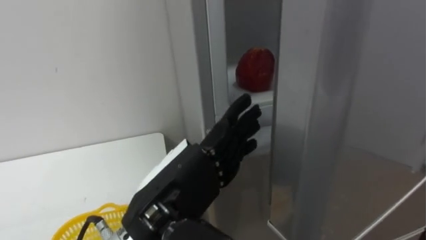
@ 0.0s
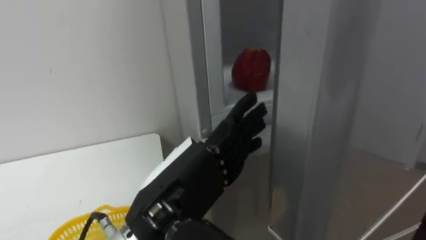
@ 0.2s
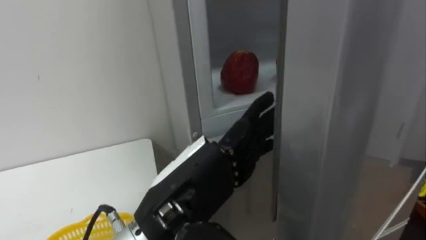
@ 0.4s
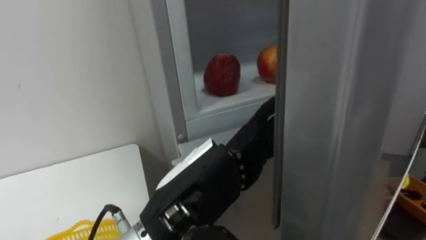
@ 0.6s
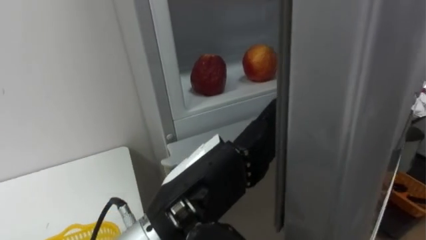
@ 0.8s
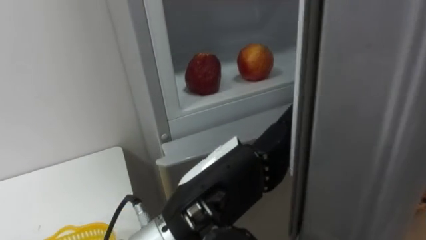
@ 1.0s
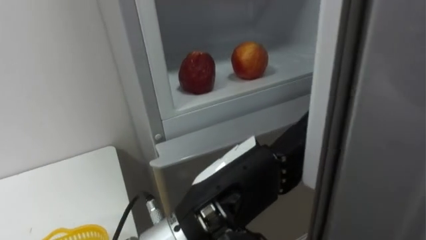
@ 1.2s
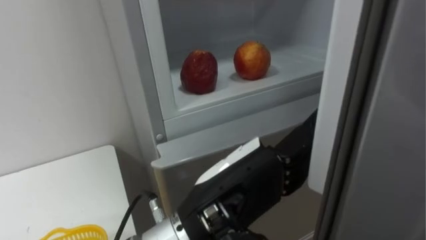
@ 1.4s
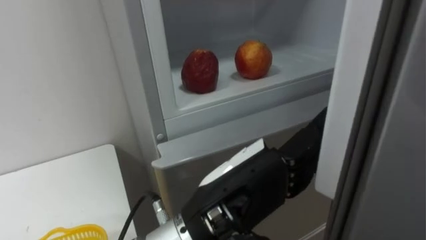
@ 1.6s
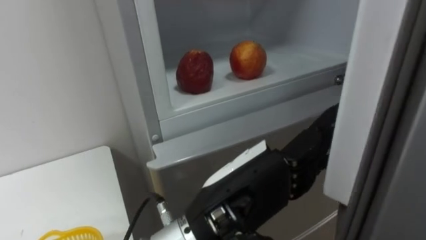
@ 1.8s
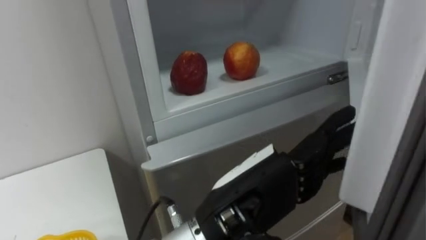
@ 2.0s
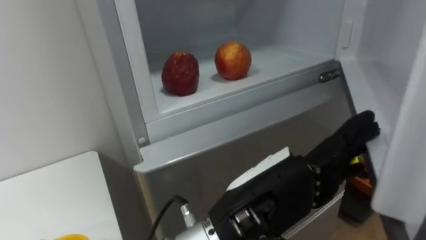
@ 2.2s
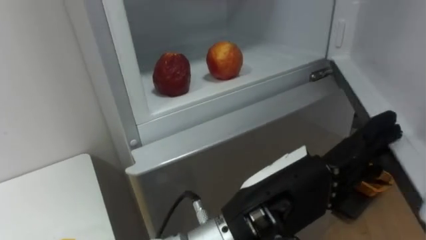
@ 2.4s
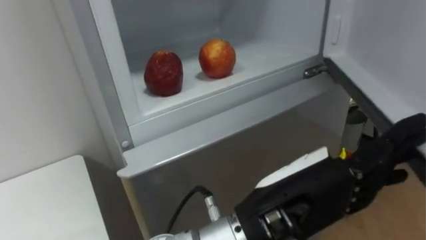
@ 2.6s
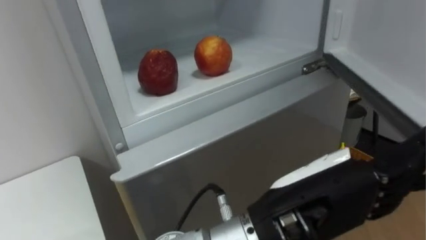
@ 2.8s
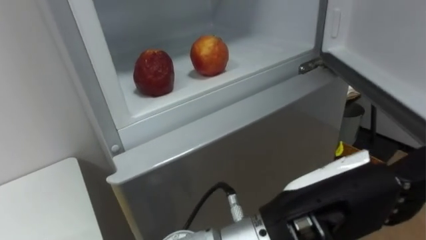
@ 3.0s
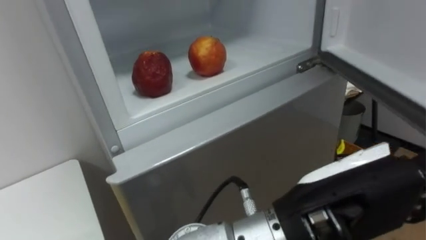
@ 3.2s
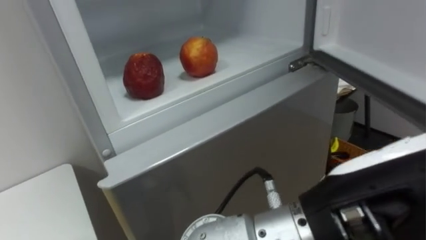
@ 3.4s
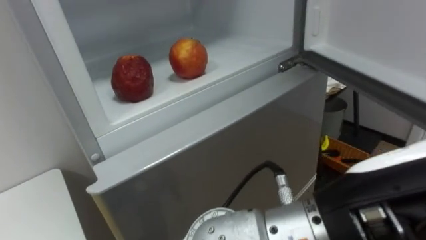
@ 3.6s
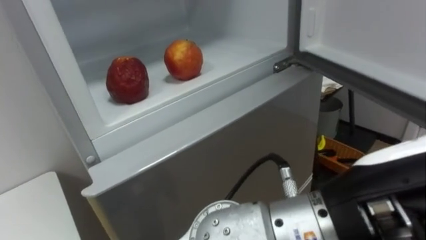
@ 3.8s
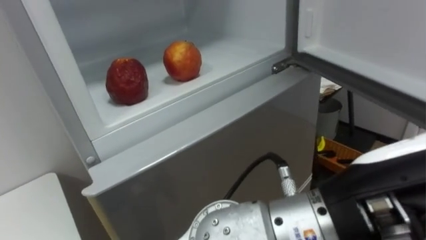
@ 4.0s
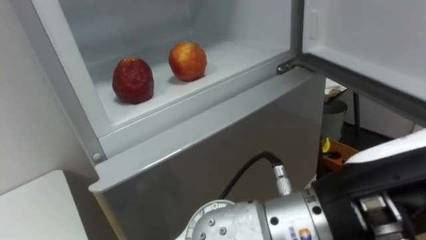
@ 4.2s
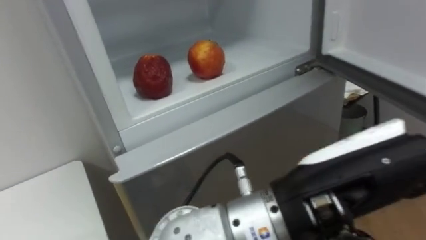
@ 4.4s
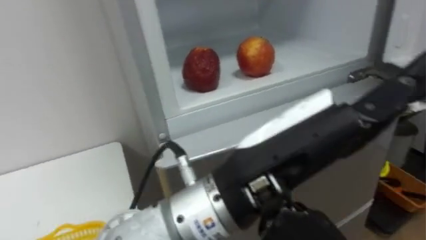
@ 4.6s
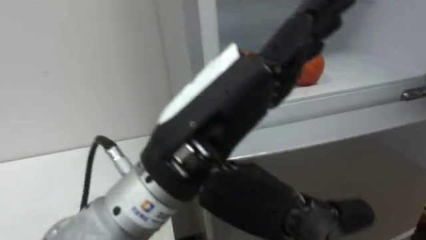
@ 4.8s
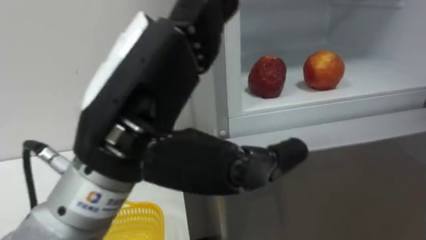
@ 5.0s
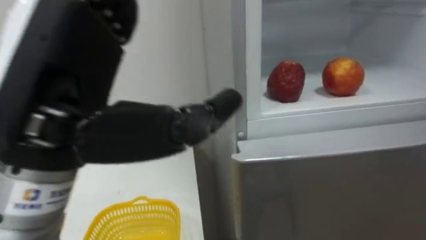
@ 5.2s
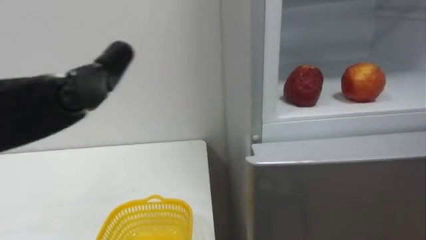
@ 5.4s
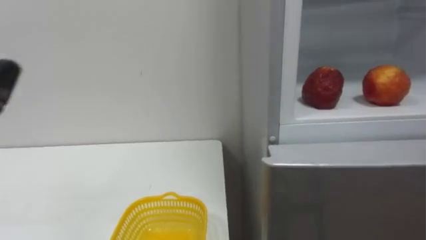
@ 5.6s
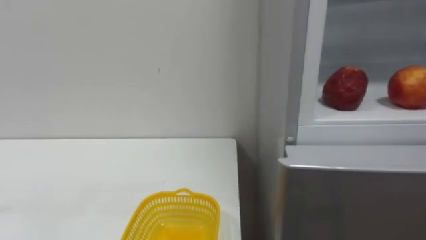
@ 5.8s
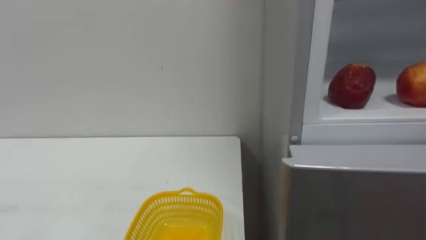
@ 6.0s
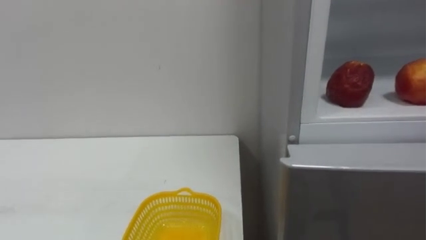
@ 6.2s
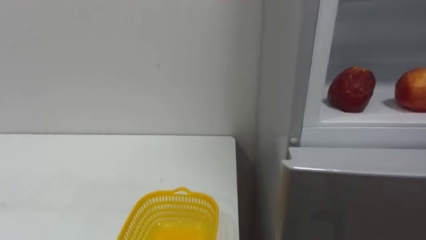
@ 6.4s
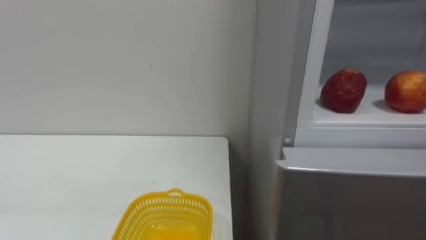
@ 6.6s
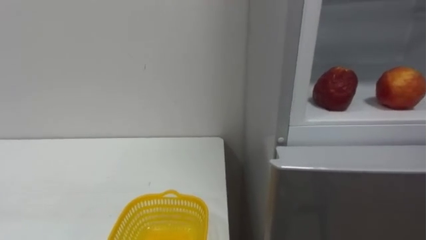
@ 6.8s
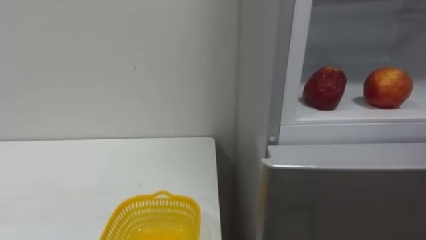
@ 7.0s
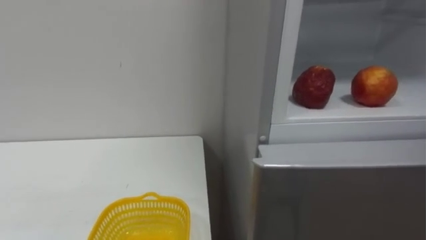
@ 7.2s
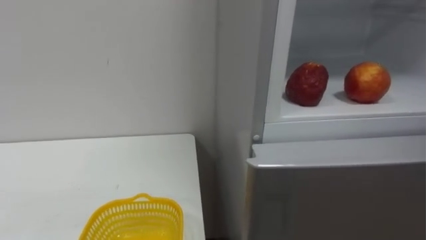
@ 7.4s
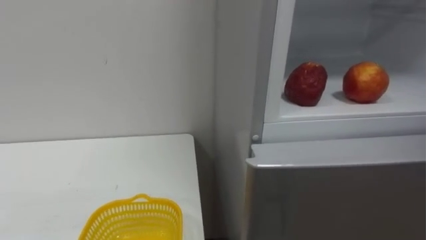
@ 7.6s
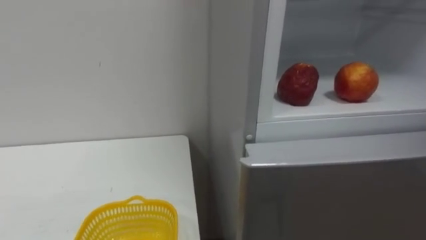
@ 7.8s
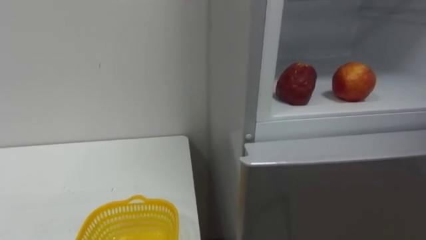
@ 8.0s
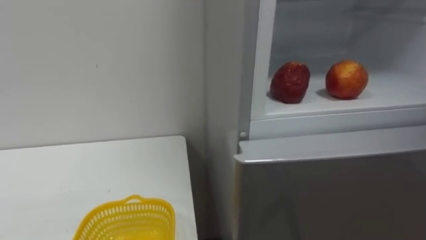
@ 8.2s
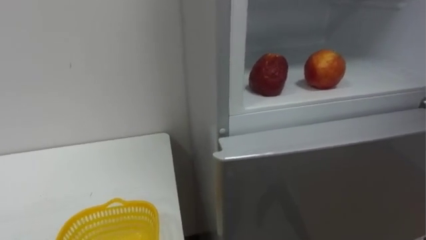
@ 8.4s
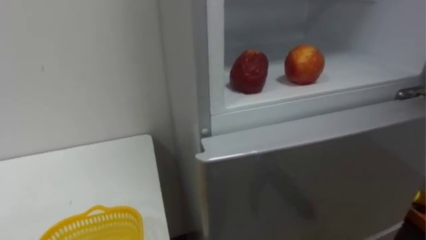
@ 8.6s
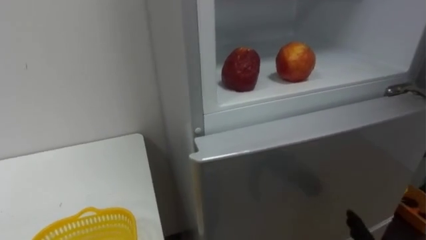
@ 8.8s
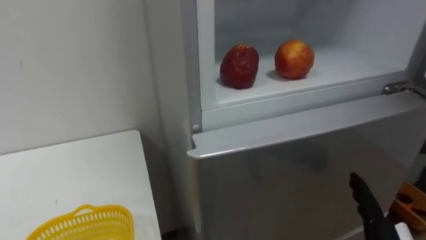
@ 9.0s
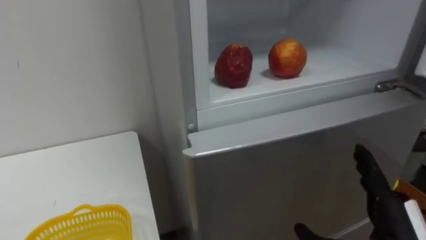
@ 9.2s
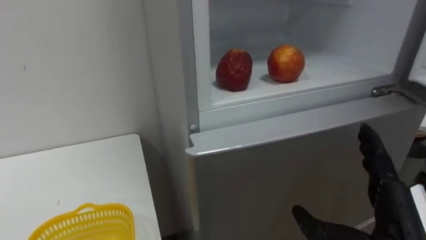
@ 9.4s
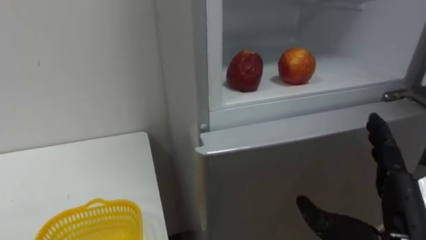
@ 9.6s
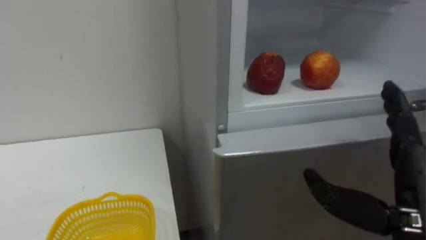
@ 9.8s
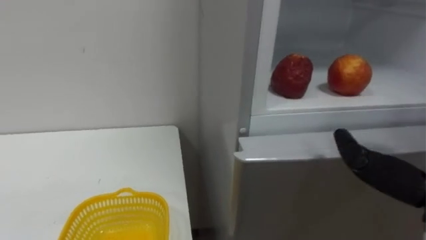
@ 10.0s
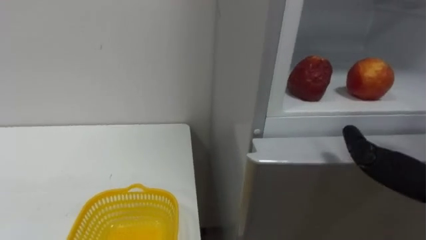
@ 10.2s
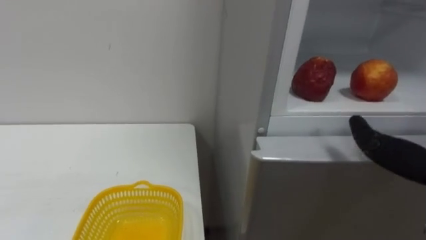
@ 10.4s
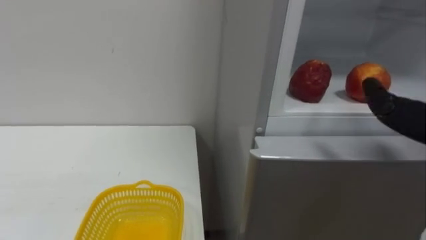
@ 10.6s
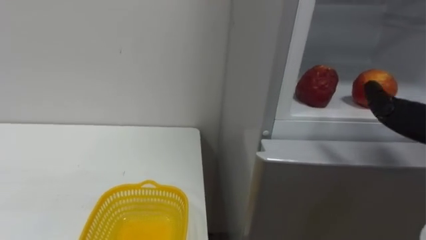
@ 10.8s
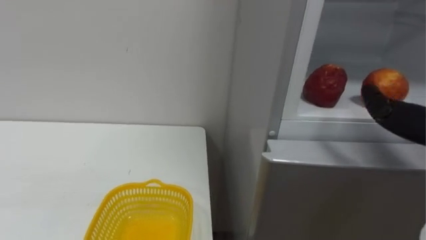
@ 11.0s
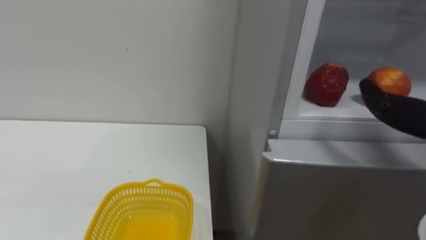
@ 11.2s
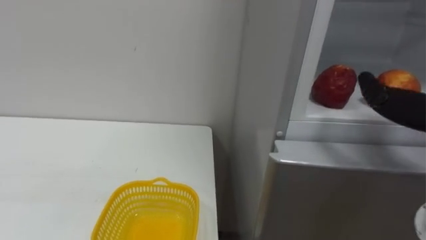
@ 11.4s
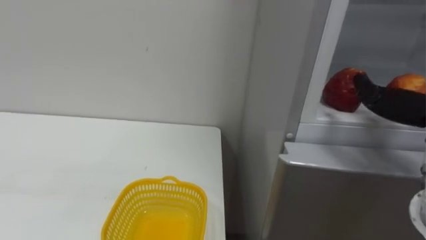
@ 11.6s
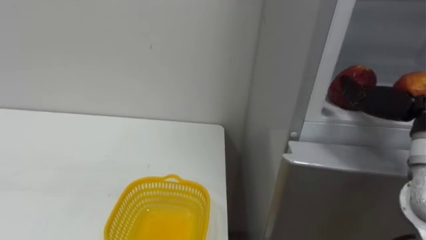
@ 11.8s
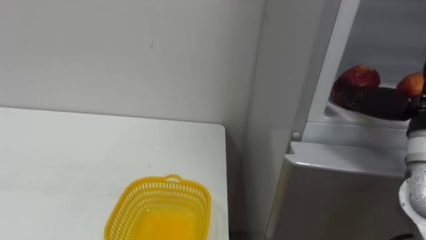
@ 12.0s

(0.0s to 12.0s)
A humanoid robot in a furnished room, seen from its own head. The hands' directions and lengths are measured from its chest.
Task of the whole recording: Open the refrigerator door, take out the apple and the pomegranate, place them in the fruit basket on the left, and close the refrigerator door.
0.0s - 1.6s: The left hand moves to the right, roughly 5 cm.
1.6s - 3.0s: The left hand shifts roughly 5 cm to the right.

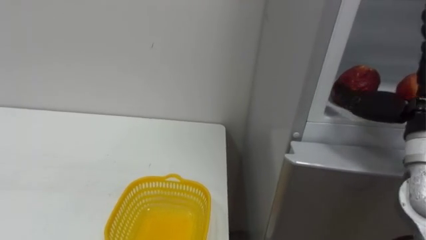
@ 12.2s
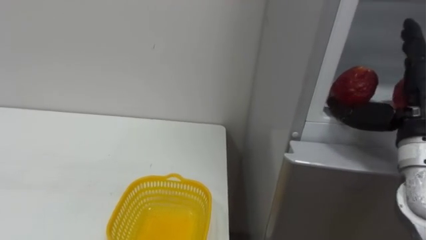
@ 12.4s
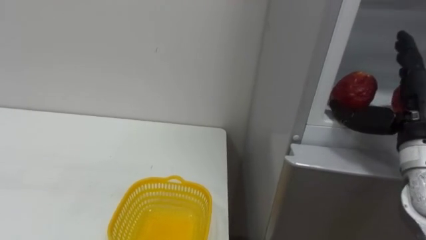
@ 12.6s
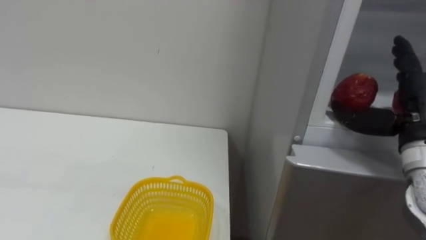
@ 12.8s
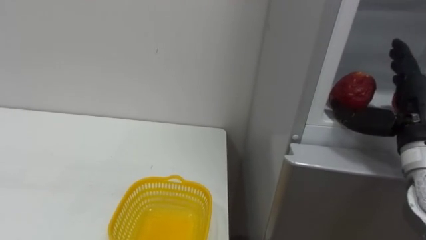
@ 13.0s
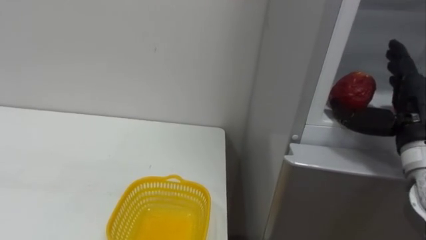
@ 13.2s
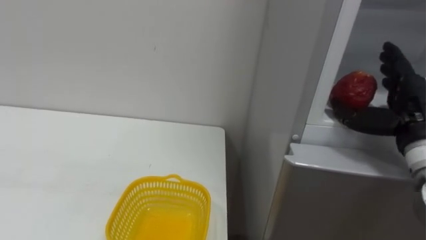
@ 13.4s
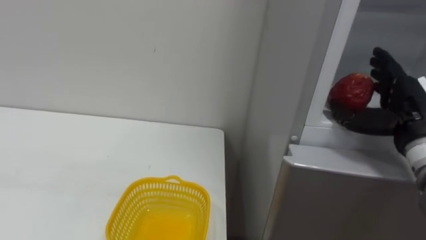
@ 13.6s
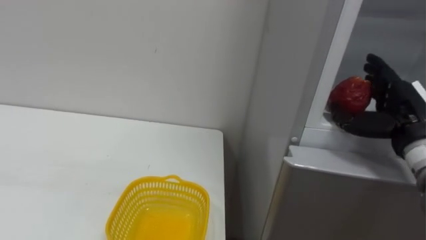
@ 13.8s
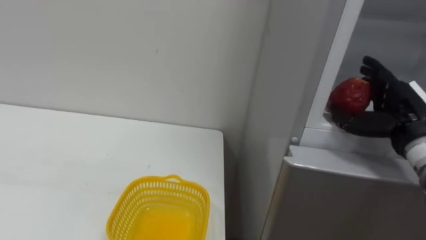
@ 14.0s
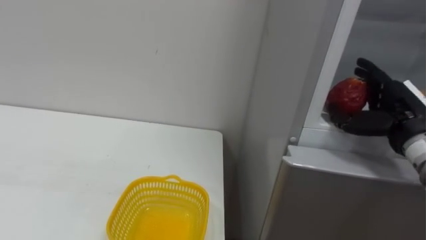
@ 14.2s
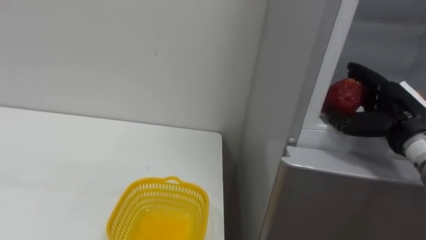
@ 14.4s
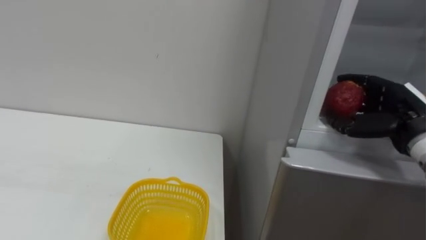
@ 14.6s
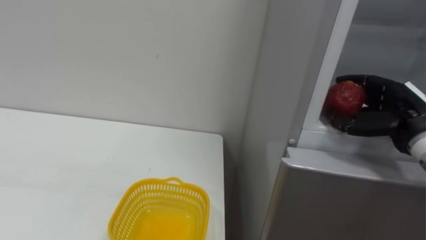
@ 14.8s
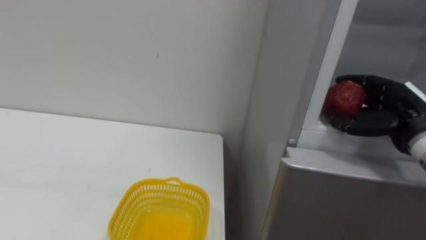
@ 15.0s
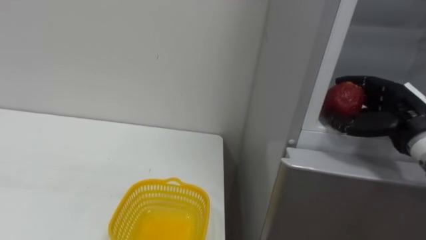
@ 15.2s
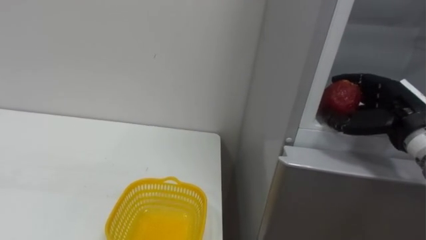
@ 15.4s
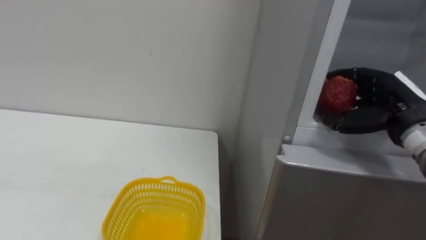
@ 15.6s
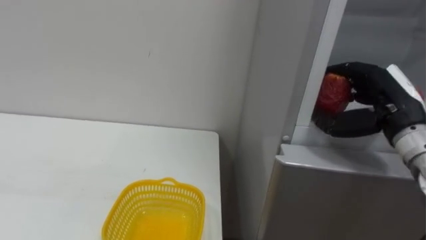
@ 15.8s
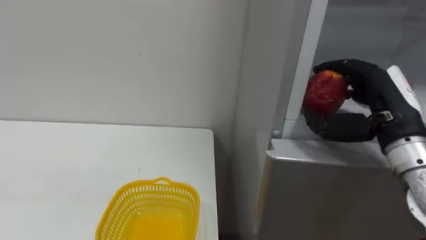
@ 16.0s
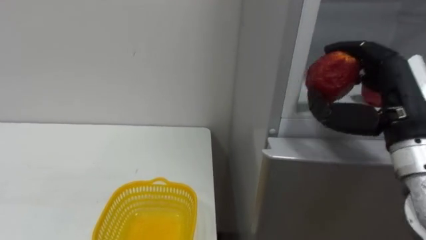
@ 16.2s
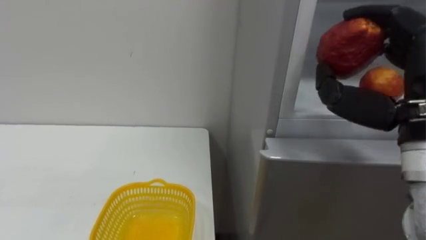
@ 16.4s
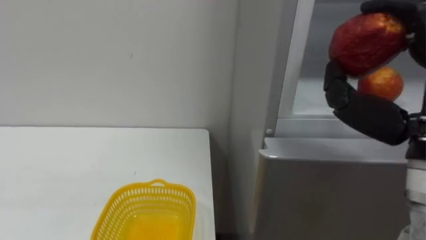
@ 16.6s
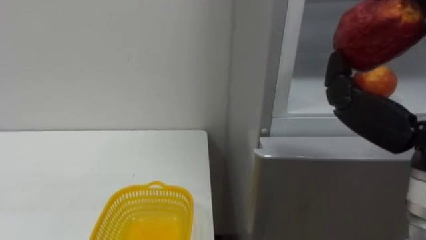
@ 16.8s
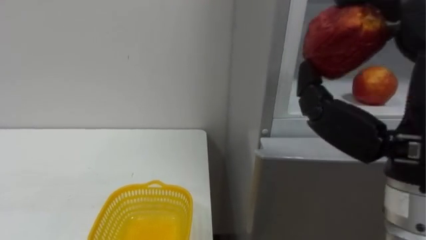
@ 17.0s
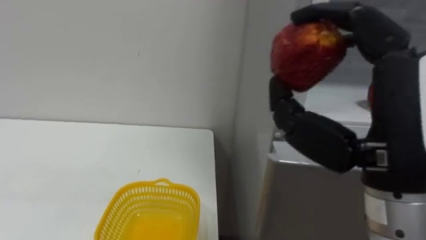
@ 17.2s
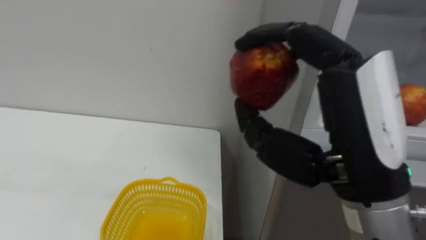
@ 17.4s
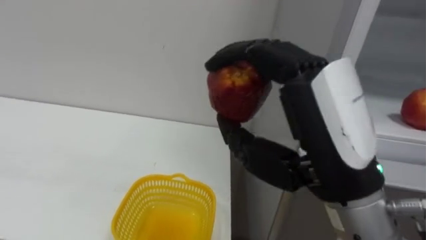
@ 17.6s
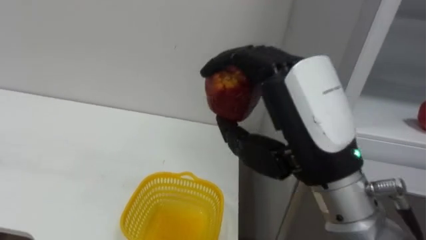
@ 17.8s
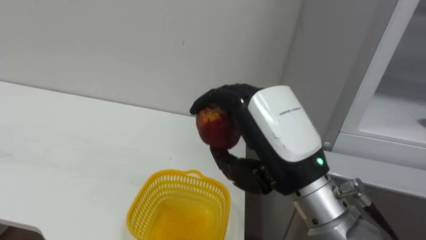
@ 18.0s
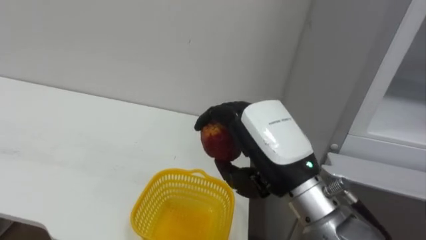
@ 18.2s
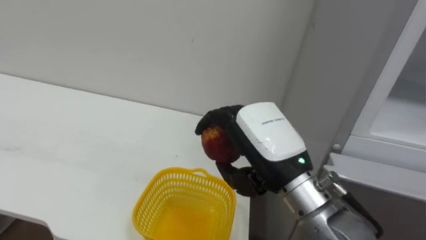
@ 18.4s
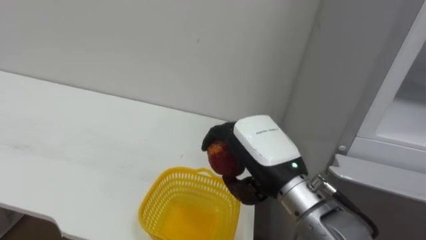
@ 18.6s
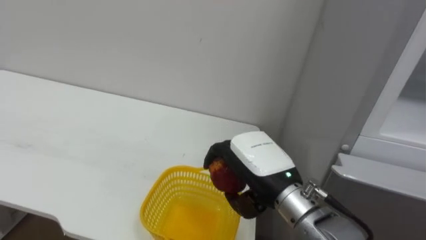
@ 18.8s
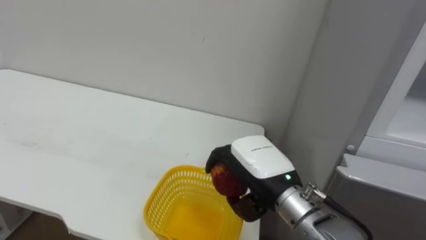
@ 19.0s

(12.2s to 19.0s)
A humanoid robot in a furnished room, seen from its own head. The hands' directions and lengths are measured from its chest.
Task of the whole recording: Open the refrigerator door, take out the apple and the pomegranate, place them in the fruit basket on the left, and close the refrigerator door.
12.2s - 13.6s: The right hand ends up approximately 5 cm from where it was.
13.6s - 15.0s: The right hand closes up.
15.0s - 16.2s: The right hand shifts about 10 cm backward, upward and to the left.
17.6s - 19.0s: The right hand is displaced downward and forward by about 20 cm.
